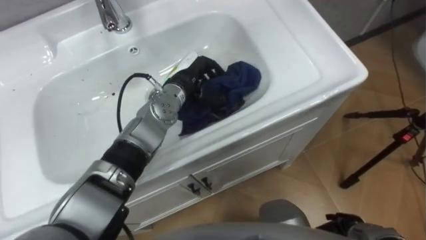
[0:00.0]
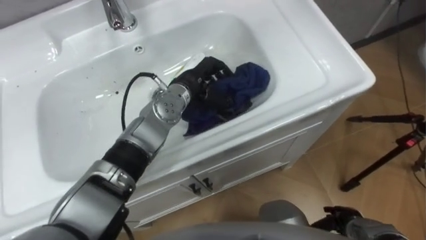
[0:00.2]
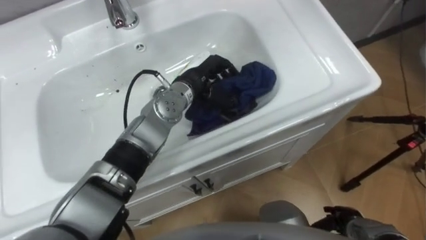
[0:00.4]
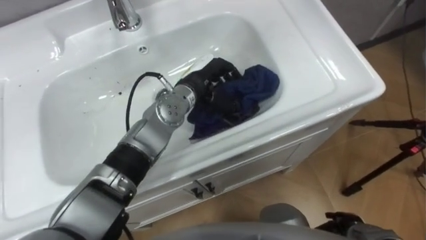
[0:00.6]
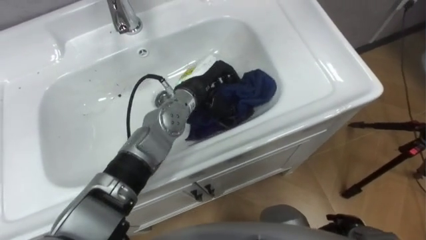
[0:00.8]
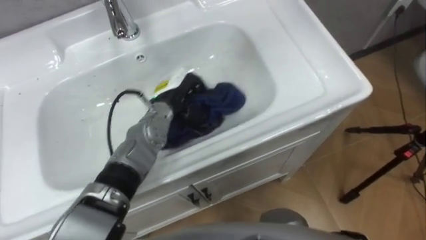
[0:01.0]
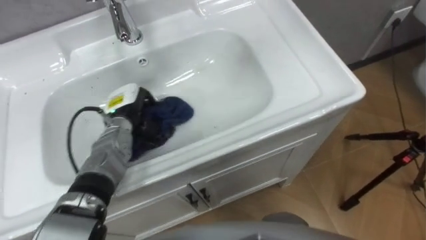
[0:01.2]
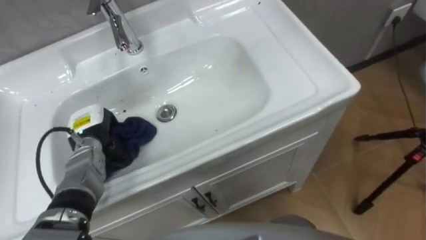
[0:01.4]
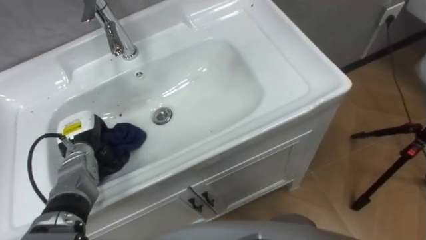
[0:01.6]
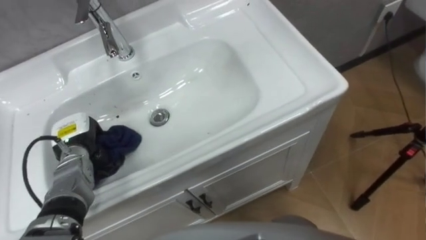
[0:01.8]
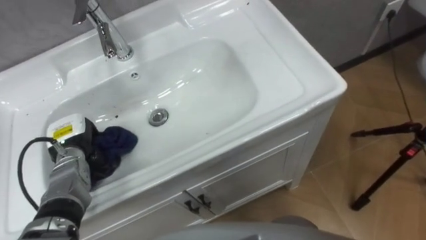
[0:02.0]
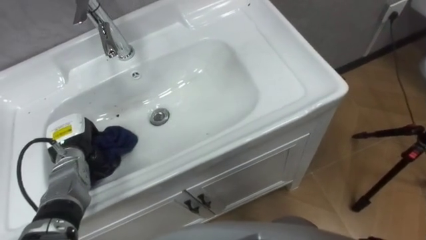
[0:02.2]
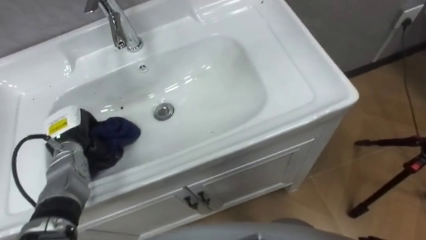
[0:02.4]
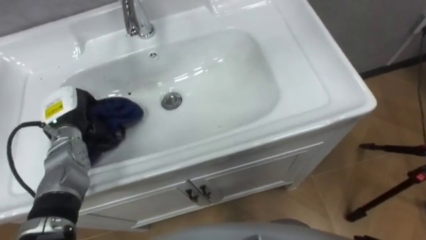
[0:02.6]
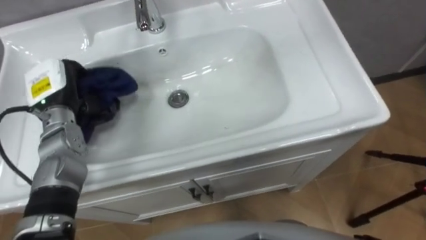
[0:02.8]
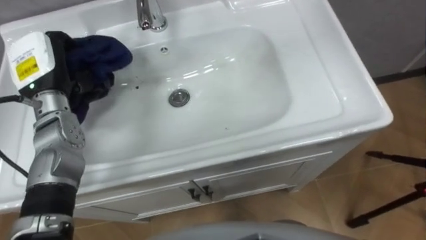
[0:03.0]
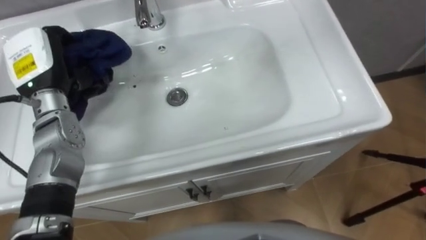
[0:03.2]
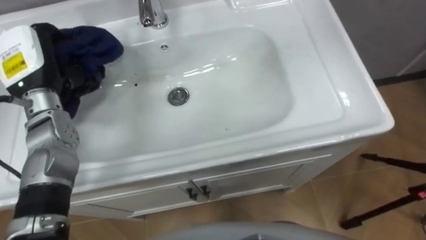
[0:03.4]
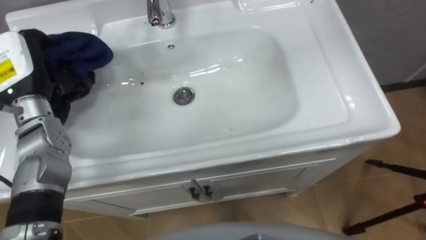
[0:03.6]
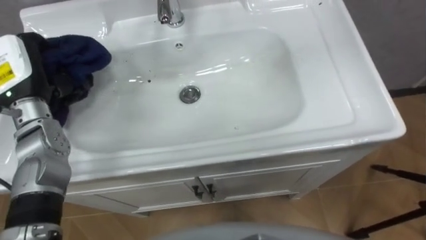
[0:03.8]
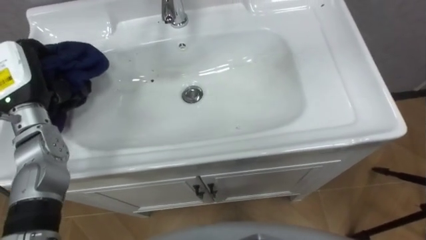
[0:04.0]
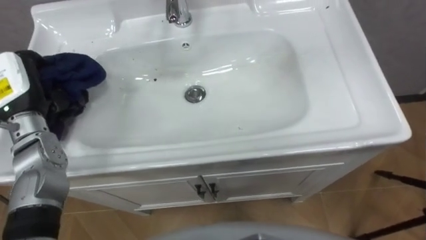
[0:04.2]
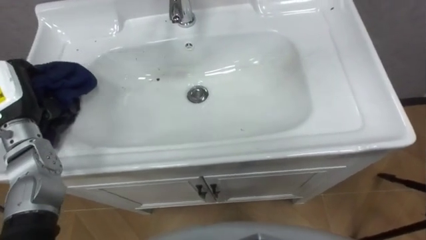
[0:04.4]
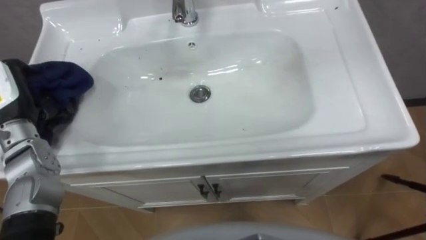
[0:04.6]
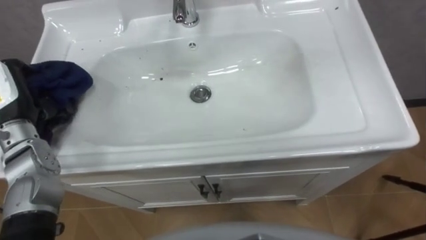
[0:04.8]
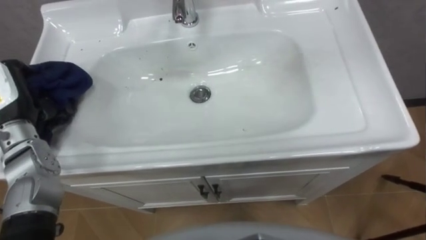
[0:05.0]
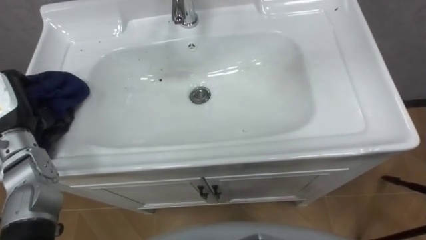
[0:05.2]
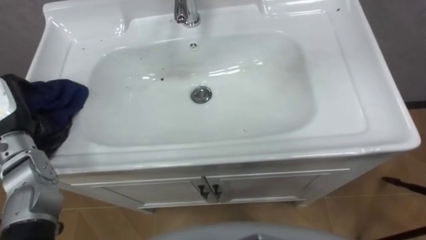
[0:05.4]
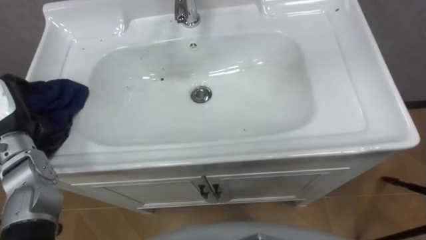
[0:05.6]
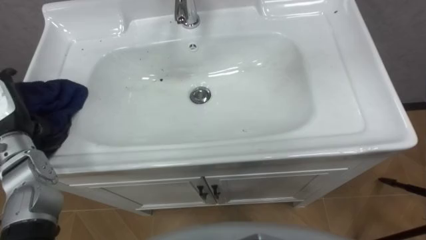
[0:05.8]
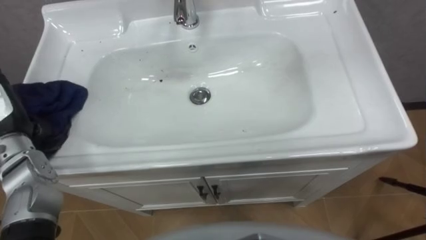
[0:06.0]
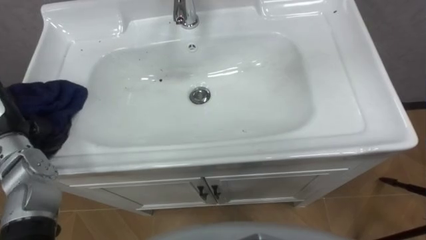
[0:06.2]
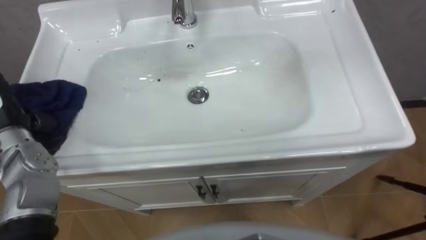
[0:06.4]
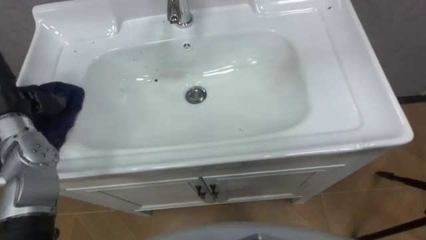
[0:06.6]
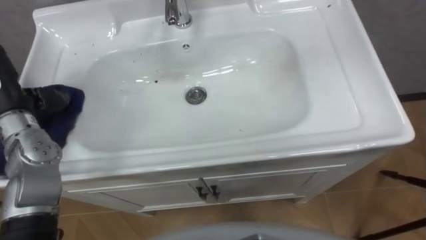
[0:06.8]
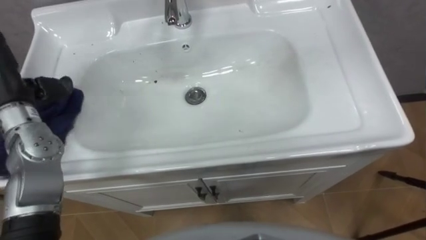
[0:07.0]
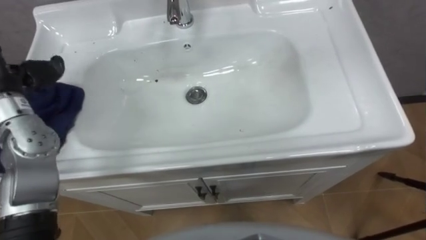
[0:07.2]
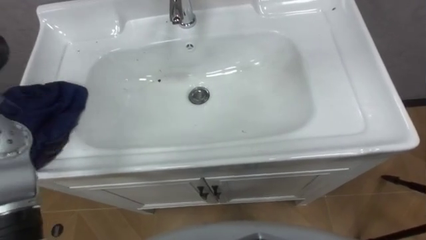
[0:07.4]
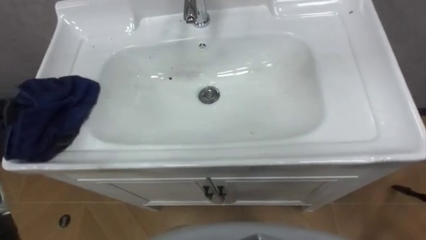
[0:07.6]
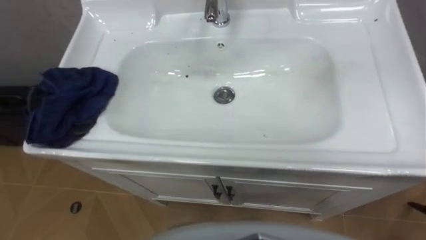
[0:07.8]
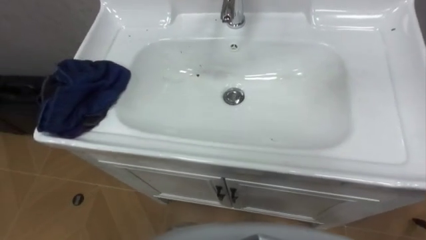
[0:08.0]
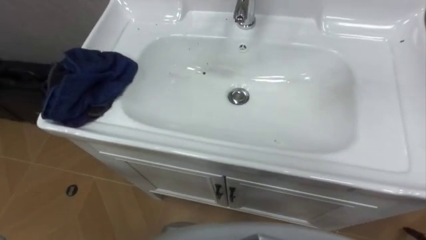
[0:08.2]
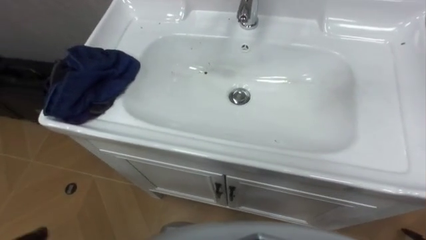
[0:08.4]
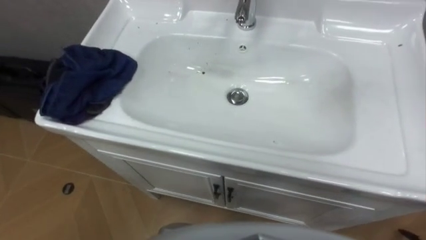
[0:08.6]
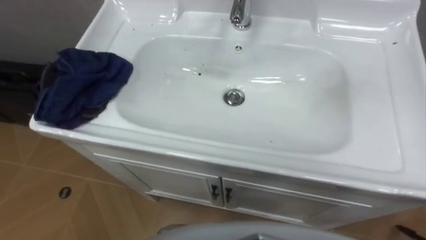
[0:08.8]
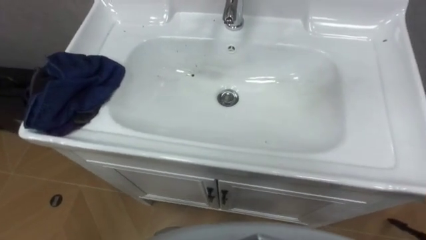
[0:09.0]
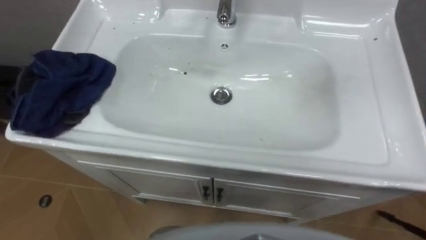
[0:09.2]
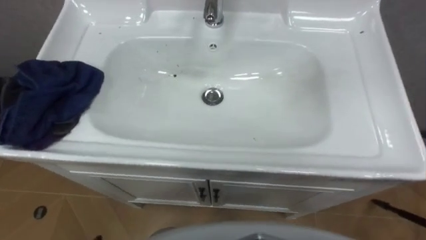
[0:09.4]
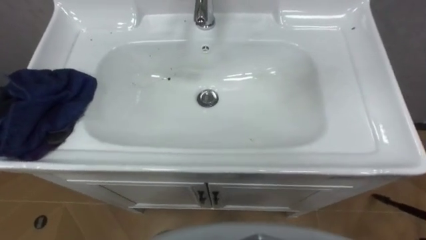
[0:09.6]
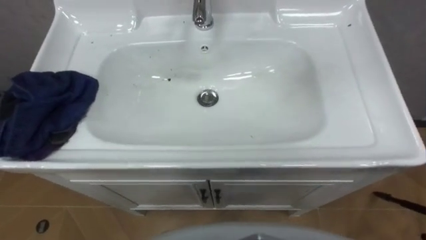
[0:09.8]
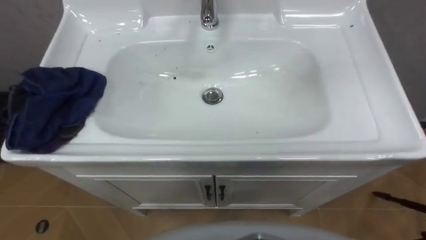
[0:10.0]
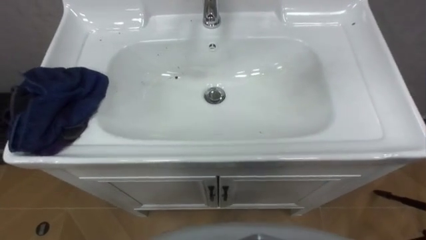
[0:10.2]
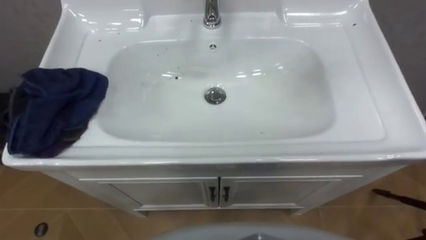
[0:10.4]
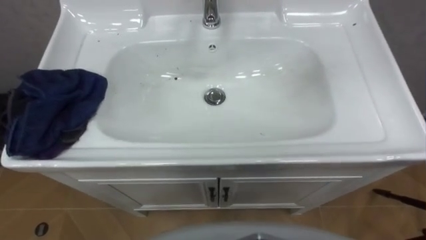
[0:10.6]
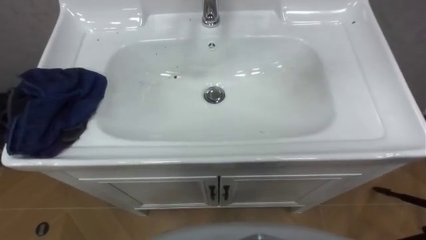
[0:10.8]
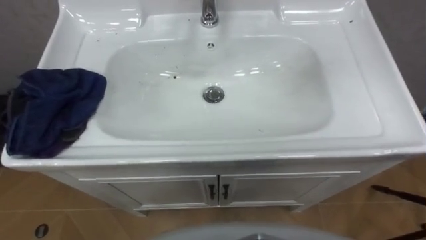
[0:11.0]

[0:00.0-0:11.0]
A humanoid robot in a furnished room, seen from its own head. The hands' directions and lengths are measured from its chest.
Task of the whole recording: Use the cloth on the right to wipe away the black stain in the sink.
0:00.0 to 0:01.6: The left hand is displaced to the left and backward by some 25 cm.
0:01.6 to 0:03.2: The left hand moves upward, roughly 15 cm.

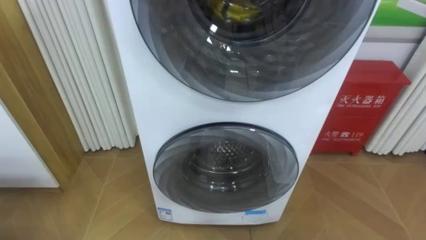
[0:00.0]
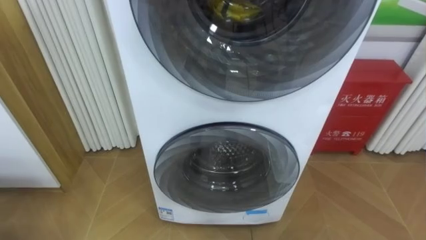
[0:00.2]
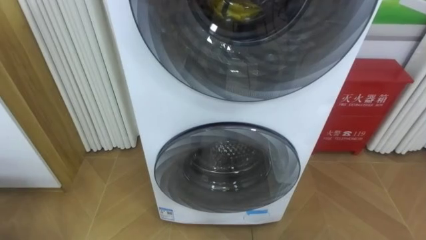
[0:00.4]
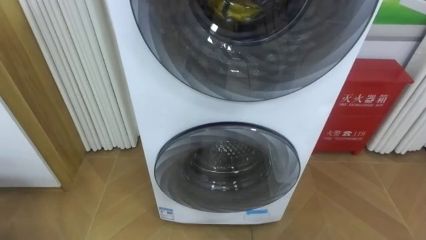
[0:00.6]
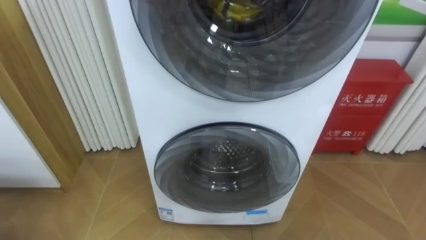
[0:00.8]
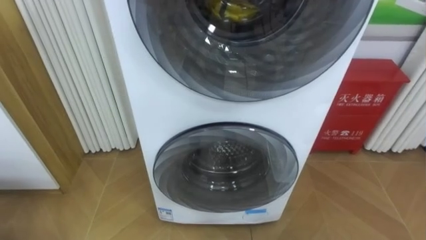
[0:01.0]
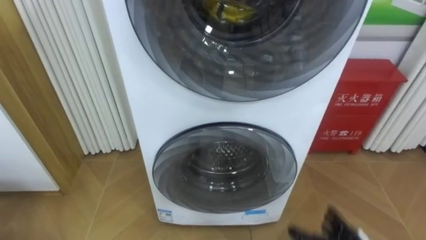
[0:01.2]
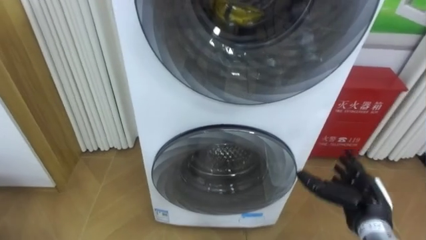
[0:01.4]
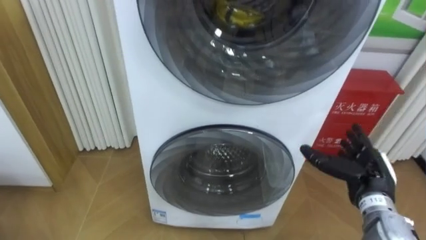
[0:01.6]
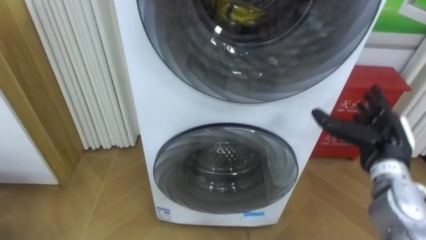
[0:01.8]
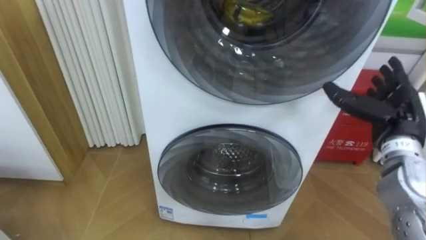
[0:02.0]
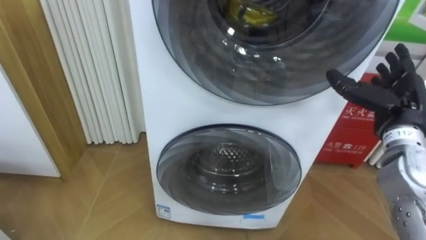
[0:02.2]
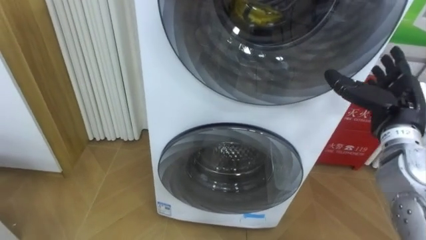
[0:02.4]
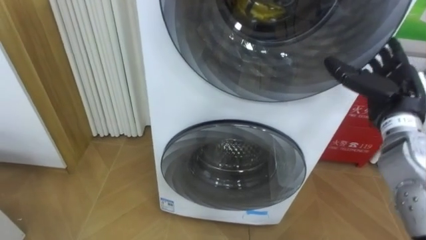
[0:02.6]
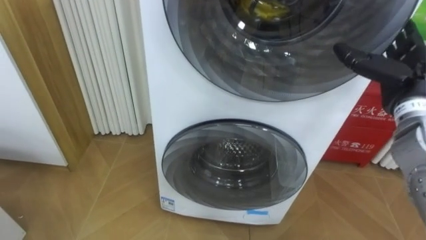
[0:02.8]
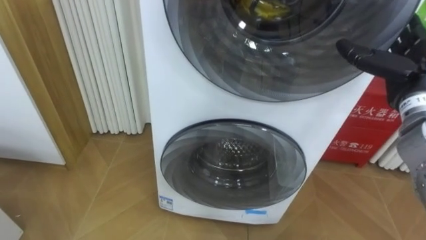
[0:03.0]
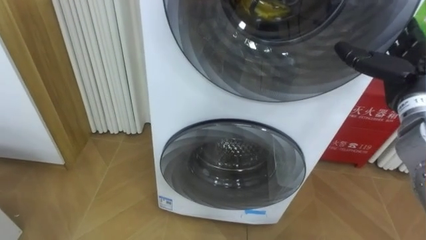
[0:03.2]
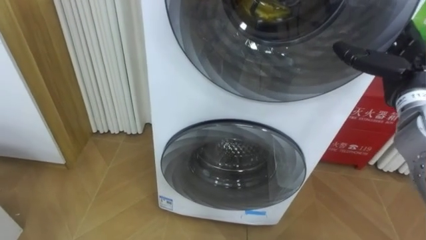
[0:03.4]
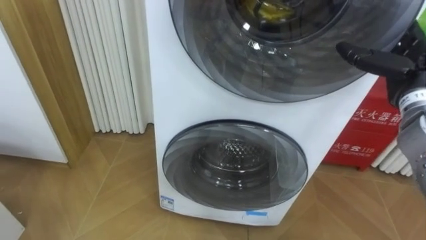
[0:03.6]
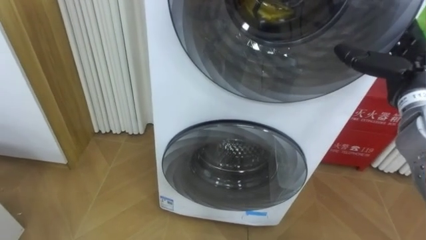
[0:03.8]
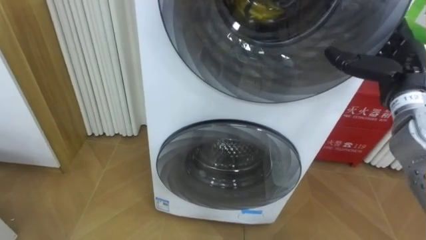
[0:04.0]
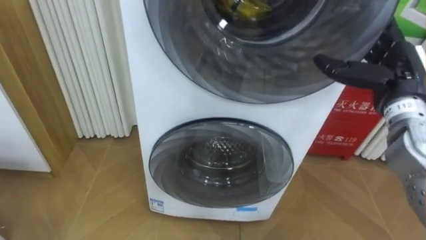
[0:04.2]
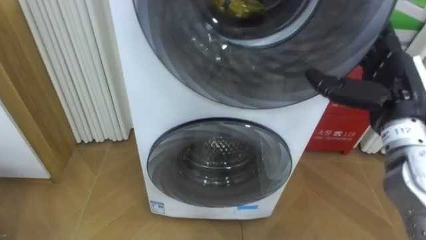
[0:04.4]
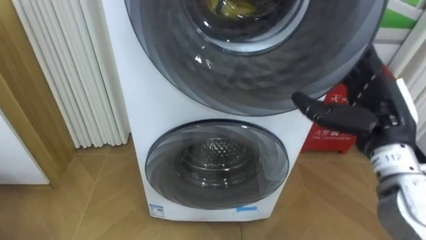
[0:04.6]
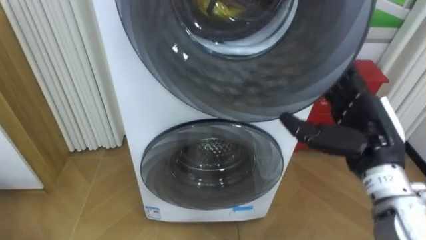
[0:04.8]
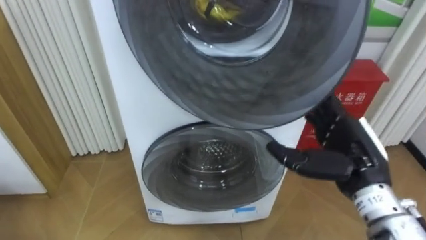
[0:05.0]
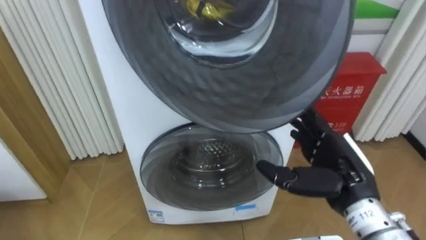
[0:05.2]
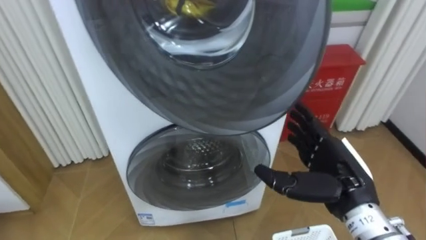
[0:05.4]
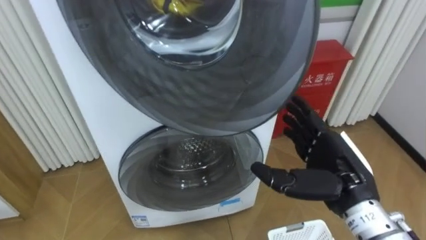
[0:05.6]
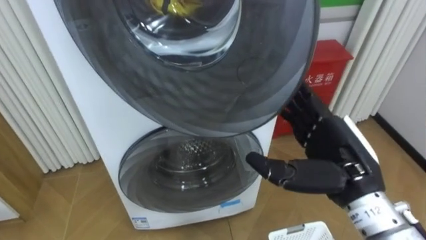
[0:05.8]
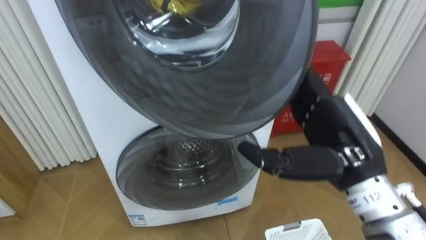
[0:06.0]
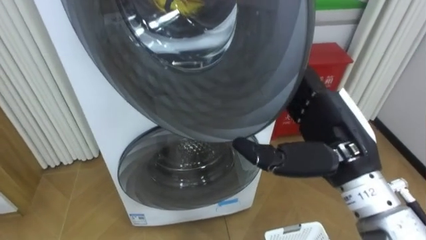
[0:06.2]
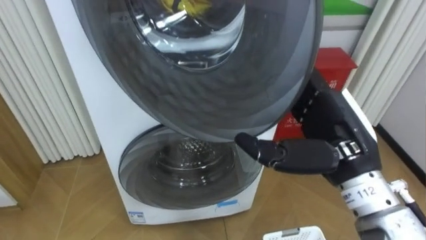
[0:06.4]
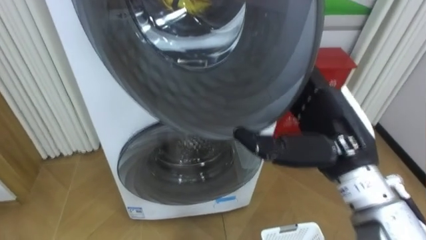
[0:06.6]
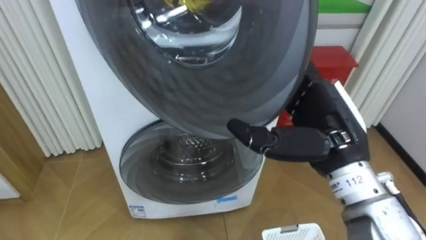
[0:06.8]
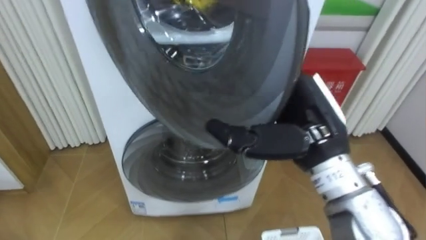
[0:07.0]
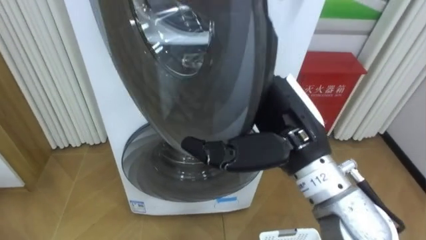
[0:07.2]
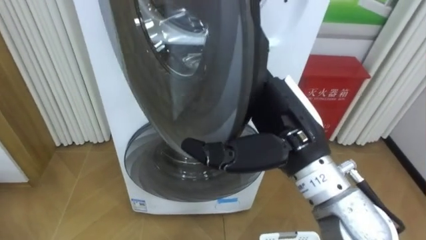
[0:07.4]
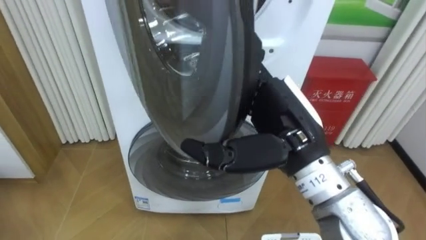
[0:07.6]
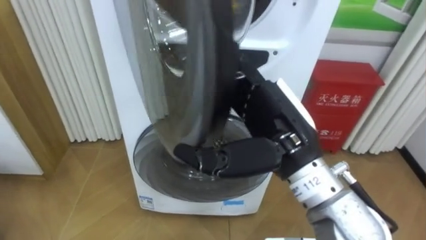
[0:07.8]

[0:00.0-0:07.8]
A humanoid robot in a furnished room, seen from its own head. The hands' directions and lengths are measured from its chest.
Task of the whole recording: Open the washing machine door, take out the yellow clothes, place them in the box on the right, and close the washing machine door.
0:01.6 to 0:03.2: The right hand moves upward and forward, approximately 20 cm.
0:03.2 to 0:04.6: The right hand is displaced to the left and backward by about 10 cm.
0:04.6 to 0:06.2: The right hand is displaced to the left and backward by roughly 10 cm, and goes downward and returns, about 5 cm each way.
0:06.2 to 0:07.8: The right hand moves to the left, about 10 cm.
